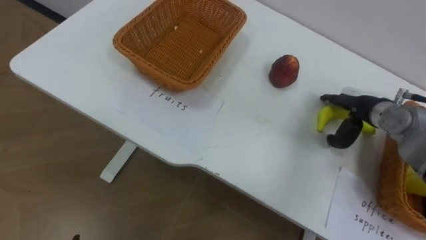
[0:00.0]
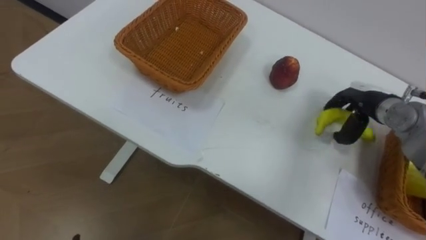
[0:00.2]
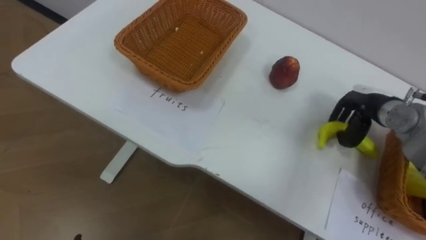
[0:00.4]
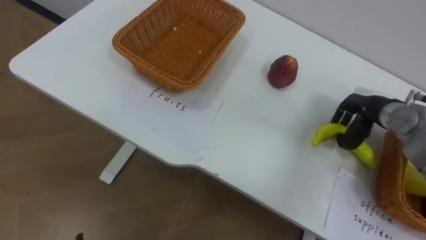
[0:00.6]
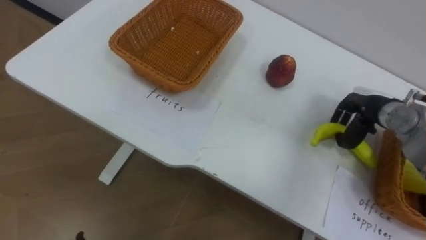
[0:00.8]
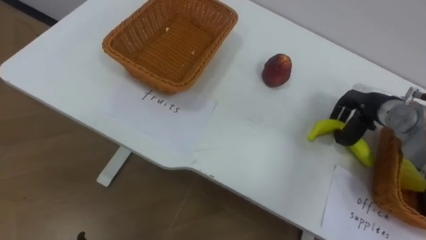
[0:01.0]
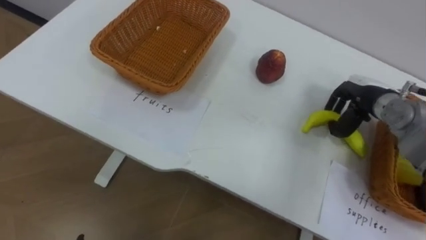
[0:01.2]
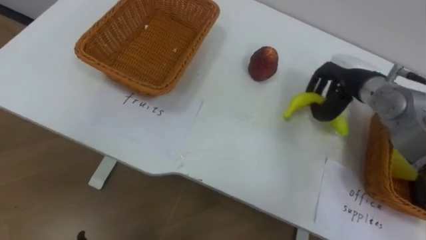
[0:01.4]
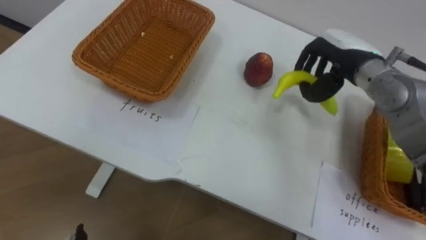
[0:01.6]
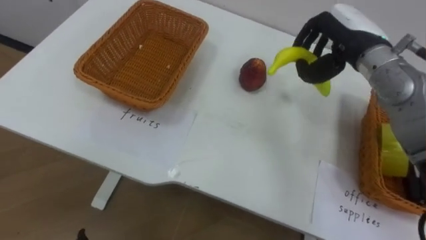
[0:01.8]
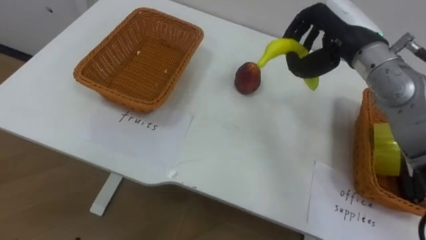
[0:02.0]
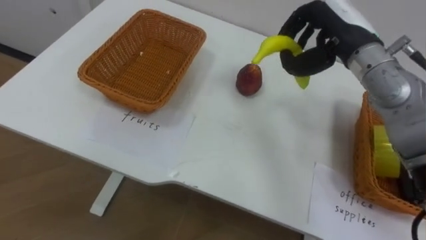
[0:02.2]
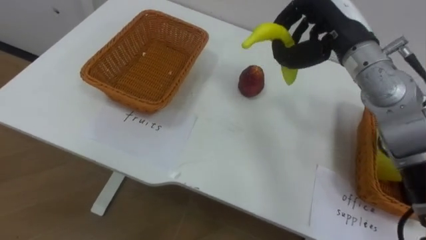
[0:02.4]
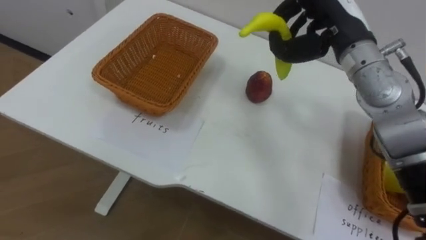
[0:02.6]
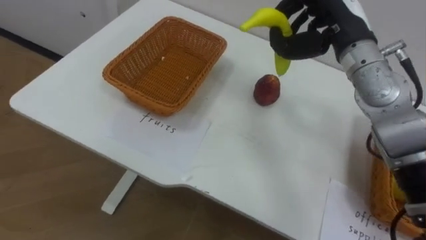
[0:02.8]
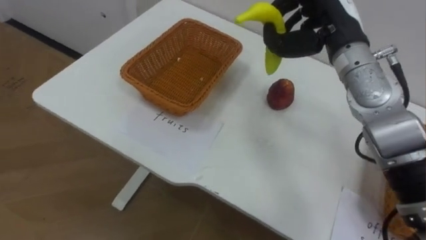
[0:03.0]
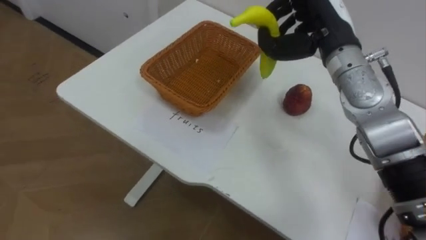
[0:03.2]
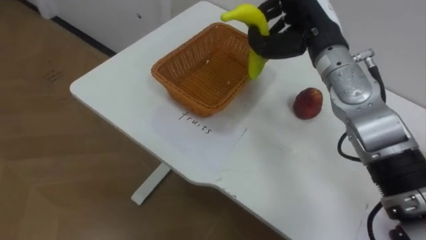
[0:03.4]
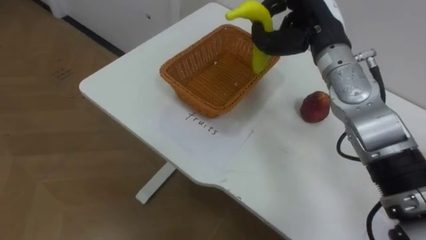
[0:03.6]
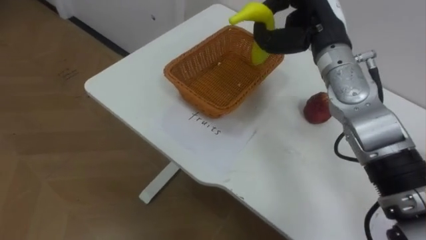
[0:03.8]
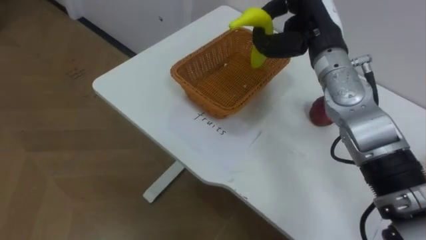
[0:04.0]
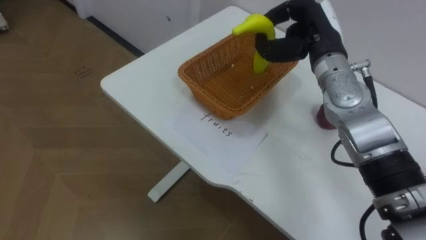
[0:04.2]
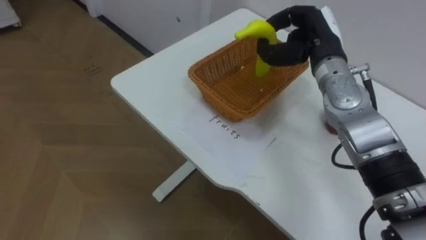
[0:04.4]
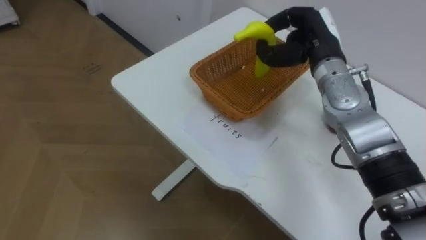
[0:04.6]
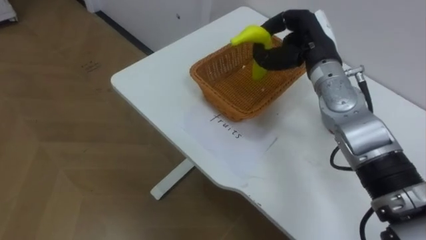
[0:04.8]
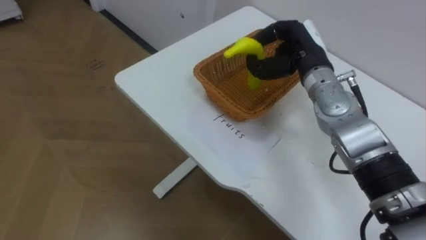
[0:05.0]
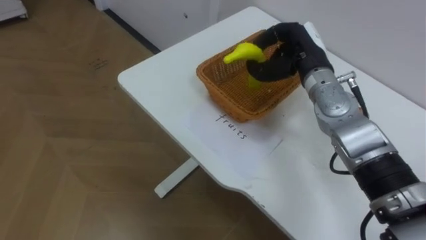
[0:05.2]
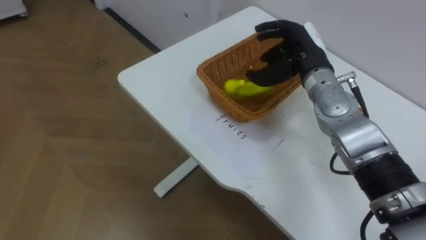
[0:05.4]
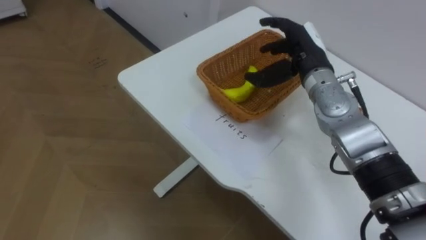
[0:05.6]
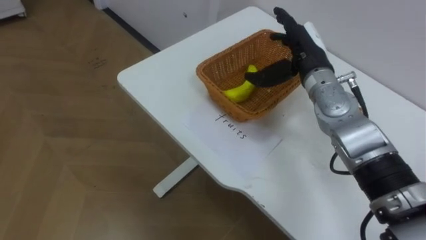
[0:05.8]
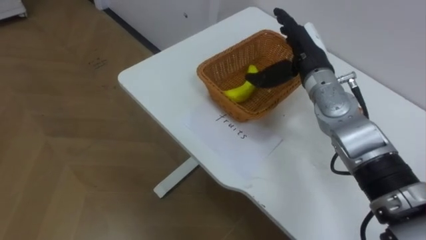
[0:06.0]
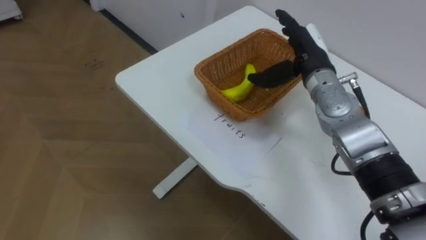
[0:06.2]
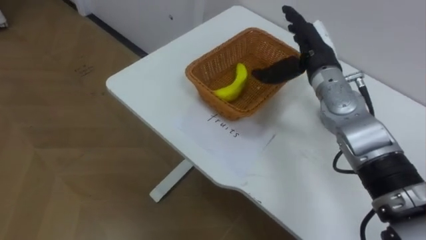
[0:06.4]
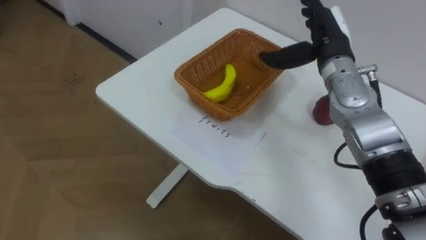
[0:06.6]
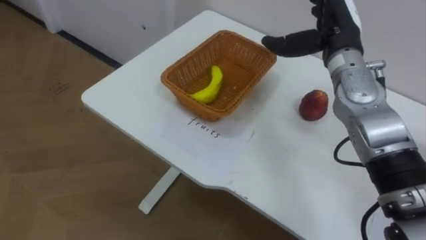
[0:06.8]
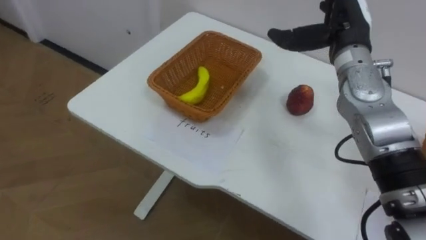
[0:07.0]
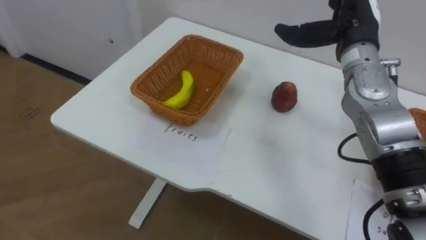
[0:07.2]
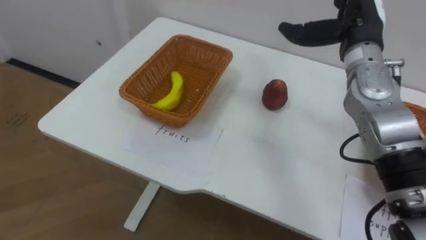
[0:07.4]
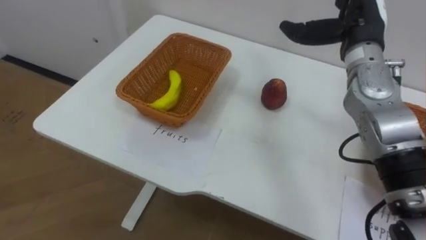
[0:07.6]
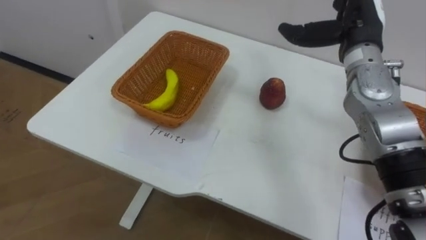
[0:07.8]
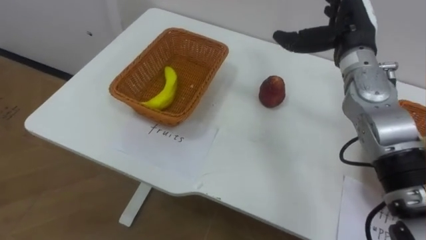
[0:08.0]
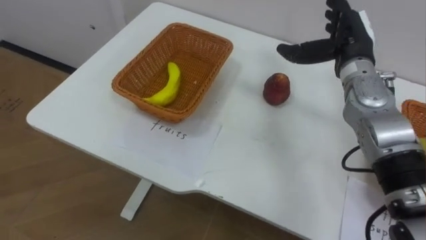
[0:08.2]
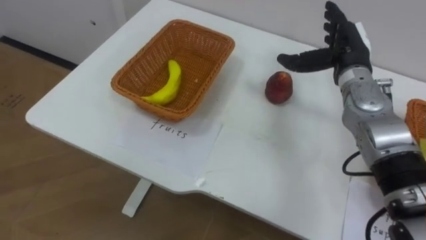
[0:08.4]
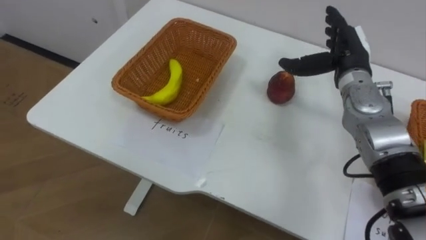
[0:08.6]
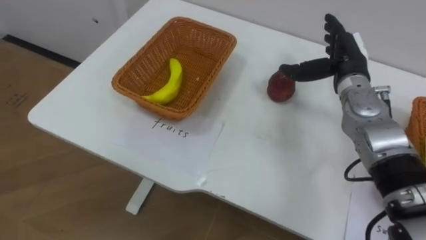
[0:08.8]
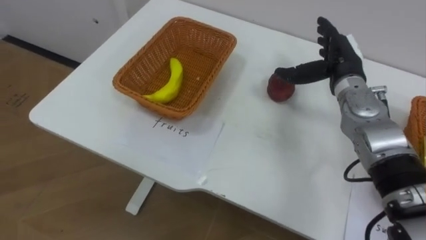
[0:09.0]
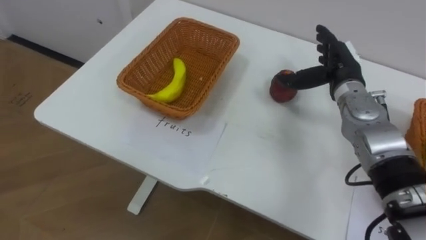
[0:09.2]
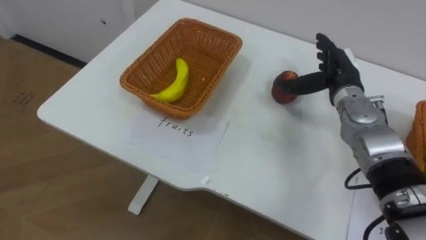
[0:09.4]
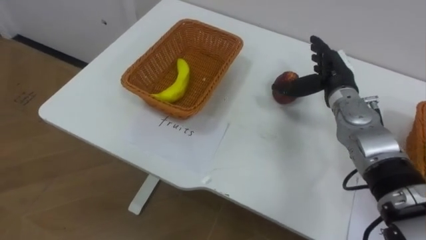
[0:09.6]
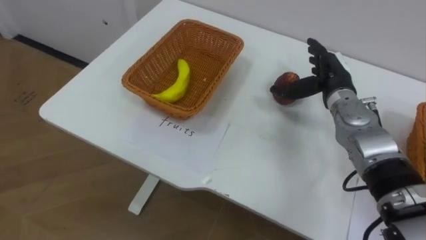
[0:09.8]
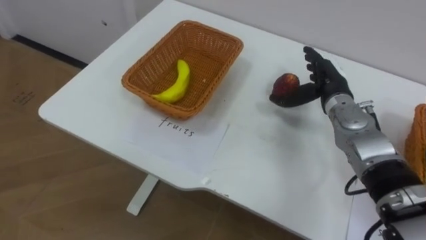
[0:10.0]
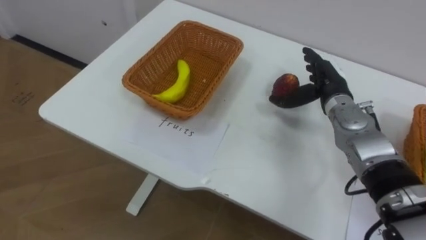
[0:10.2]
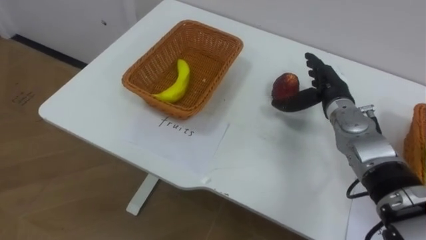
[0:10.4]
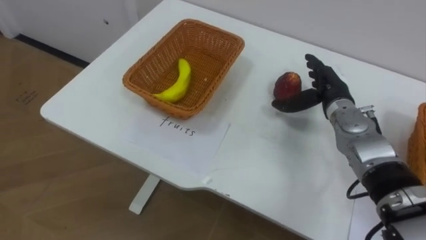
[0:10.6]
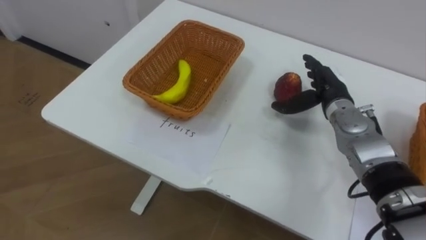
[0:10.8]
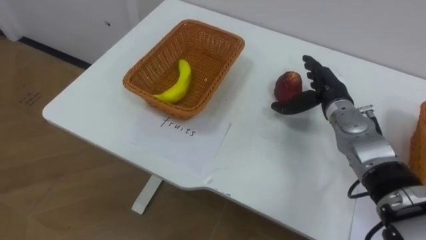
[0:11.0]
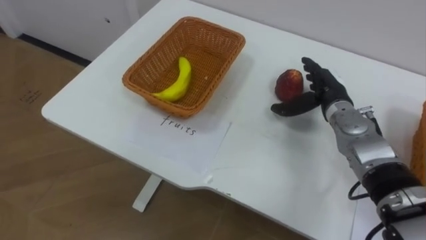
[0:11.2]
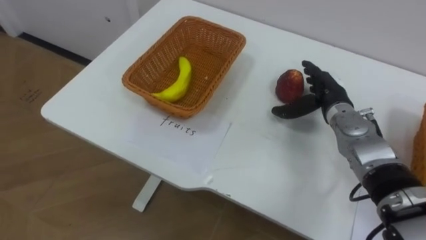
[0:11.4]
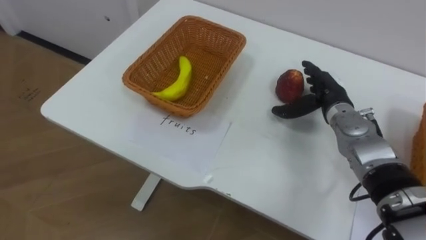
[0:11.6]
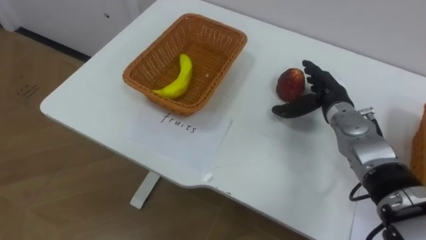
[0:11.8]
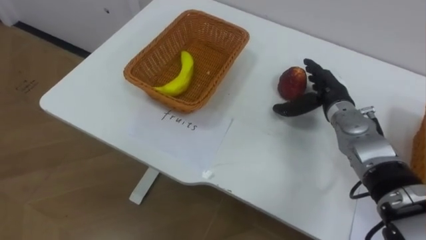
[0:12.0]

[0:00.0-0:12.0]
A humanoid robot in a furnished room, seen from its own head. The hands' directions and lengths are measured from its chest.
Task of the whole recording: Separate the items on the table and place them into the two baskets.
0:00.0 to 0:01.6: The right hand shifts roughly 10 cm upward and to the left, and closes.
0:01.6 to 0:03.0: The right hand heads upward, covering approximately 5 cm.
0:04.4 to 0:06.0: The right hand opens its fingers.
0:06.0 to 0:07.6: The right hand is displaced to the right and upward by approximately 10 cm.
0:07.6 to 0:09.0: The right hand goes roughly 10 cm downward.
0:09.0 to 0:10.4: The right hand shifts roughly 5 cm downward.

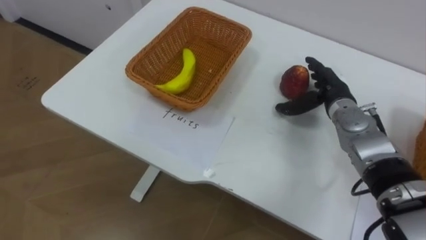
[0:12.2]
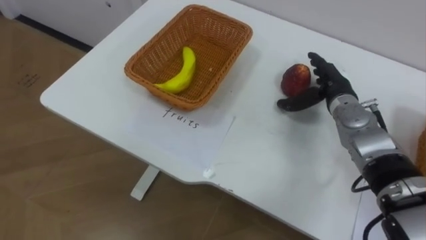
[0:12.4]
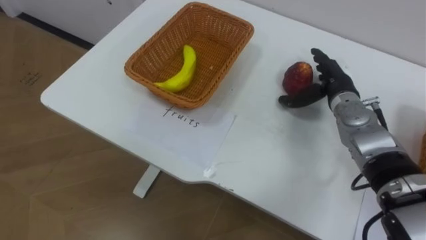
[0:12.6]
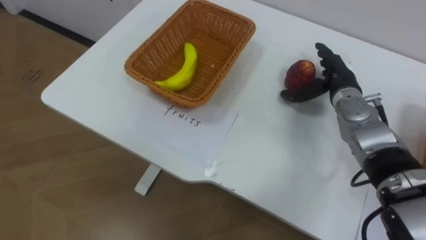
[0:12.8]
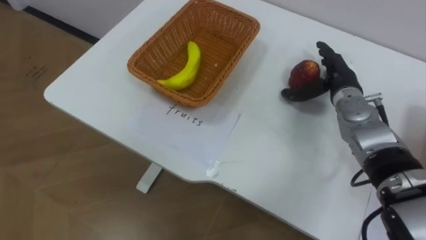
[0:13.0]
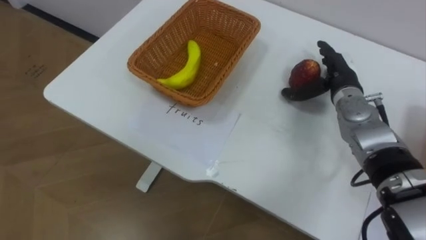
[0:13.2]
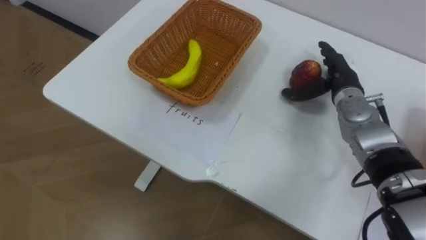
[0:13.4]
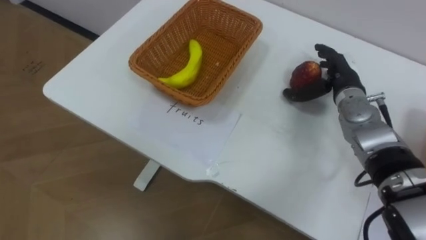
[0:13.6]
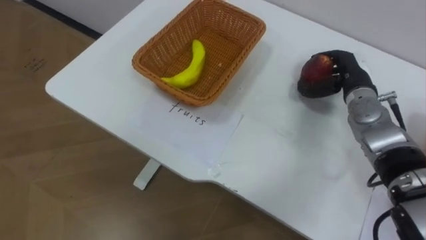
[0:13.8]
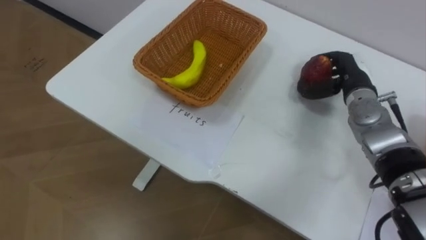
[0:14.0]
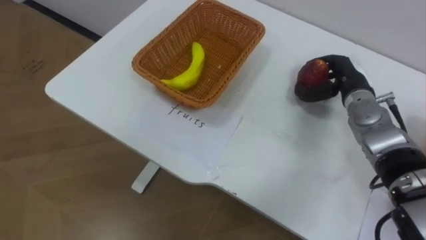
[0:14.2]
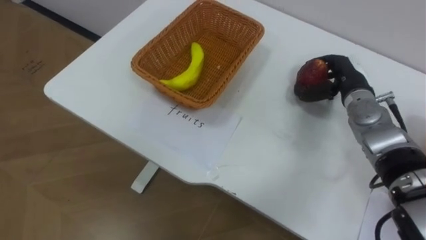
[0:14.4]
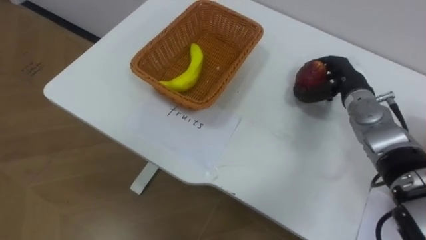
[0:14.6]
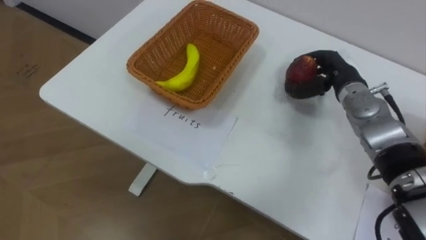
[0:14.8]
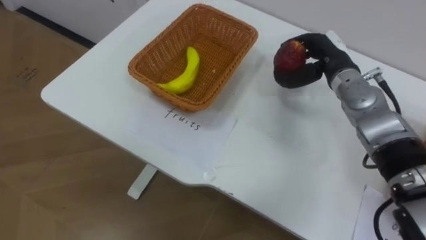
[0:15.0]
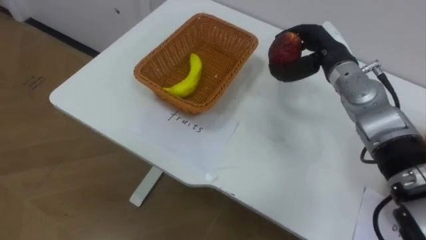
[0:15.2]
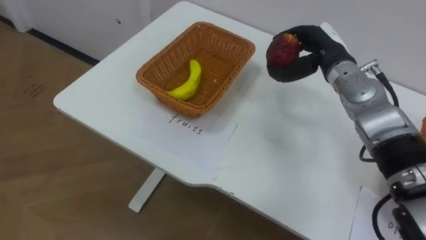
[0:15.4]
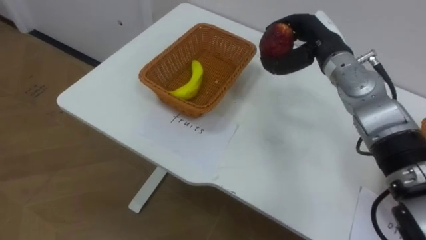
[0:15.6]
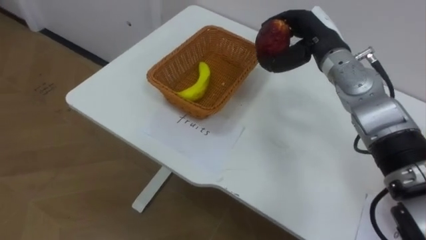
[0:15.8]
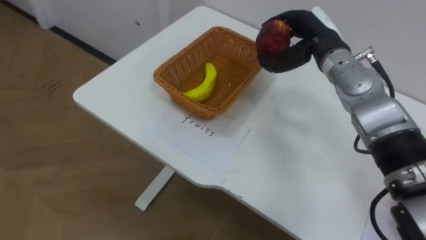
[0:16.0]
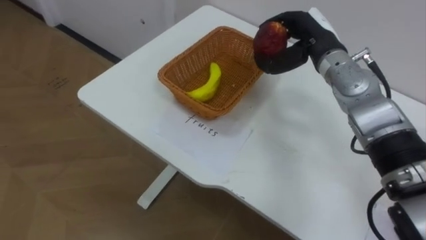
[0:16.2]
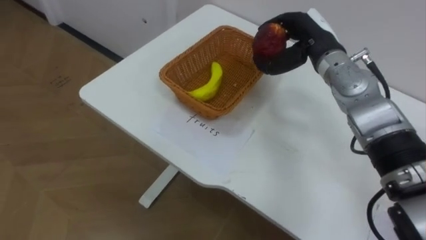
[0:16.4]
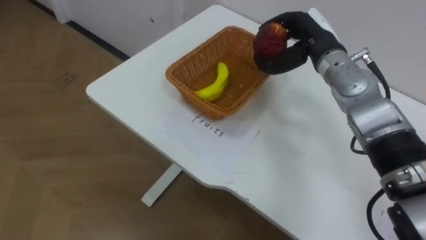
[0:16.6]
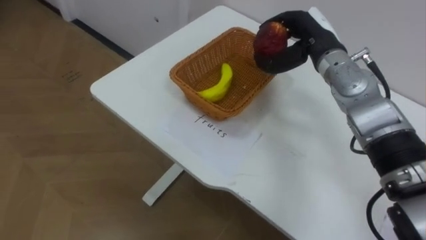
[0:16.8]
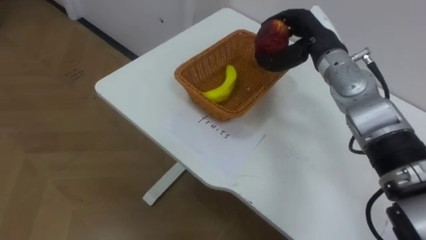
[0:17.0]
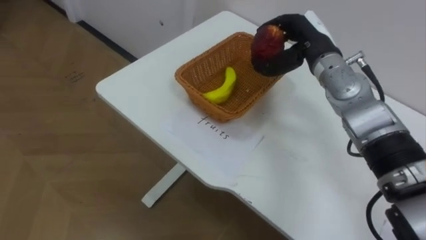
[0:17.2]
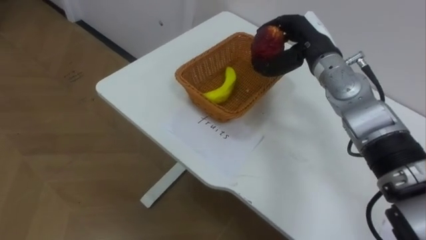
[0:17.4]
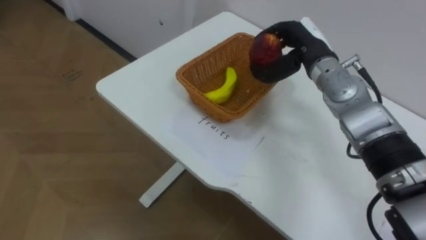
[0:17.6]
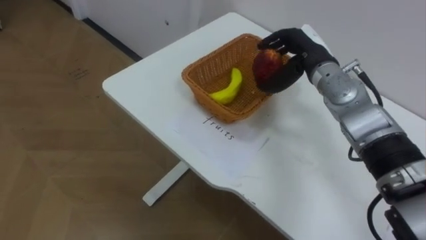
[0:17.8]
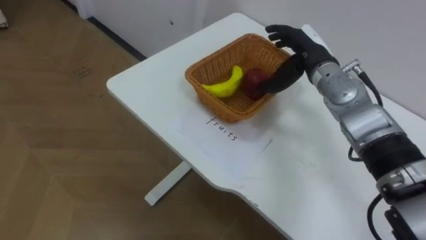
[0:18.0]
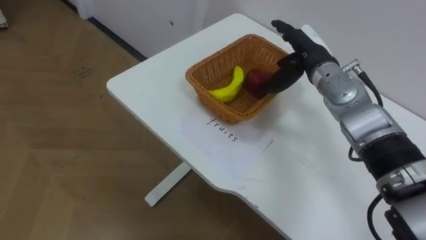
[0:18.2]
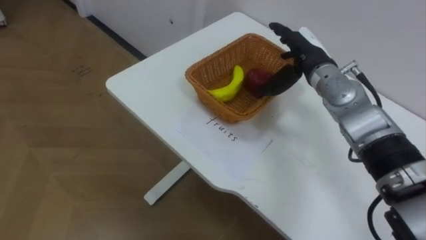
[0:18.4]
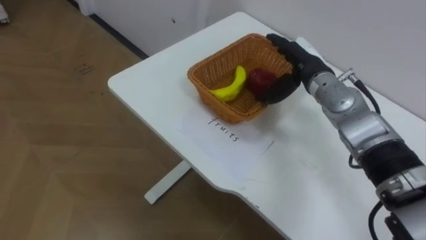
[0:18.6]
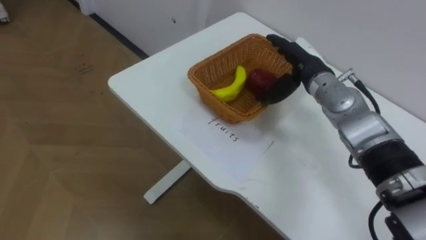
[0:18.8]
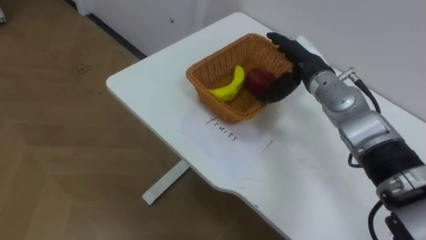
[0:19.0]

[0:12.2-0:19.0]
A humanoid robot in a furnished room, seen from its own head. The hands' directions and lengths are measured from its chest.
Task of the whole recording: Separate the items on the table and place them into the two baskets.
0:13.6 to 0:15.0: The right hand closes up.
0:15.0 to 0:16.2: The right hand moves about 5 cm.
0:17.6 to 0:19.0: The right hand opens.
